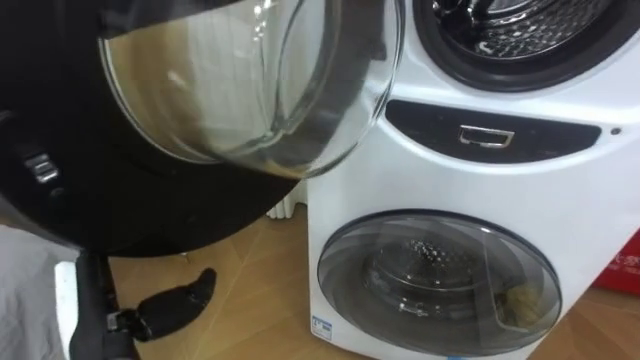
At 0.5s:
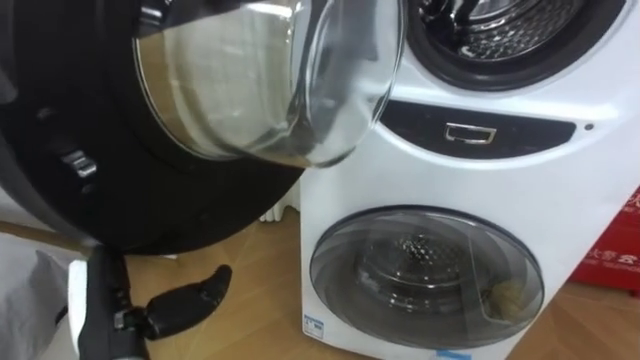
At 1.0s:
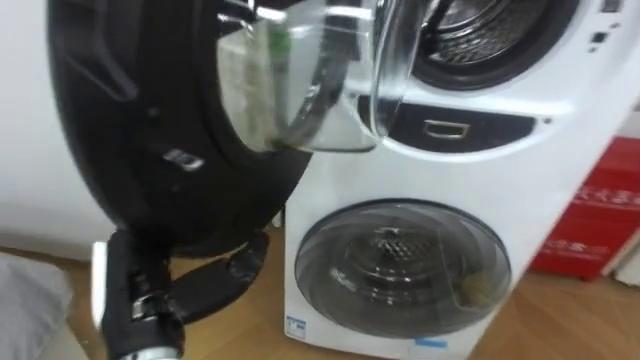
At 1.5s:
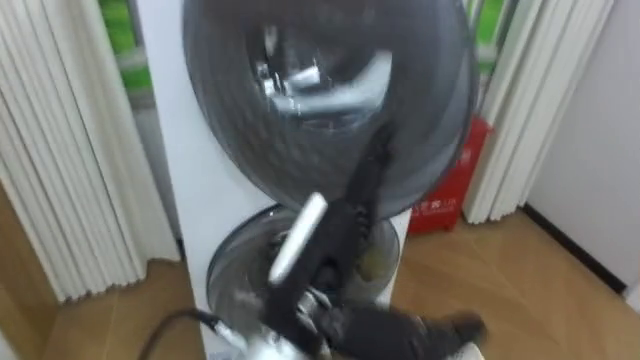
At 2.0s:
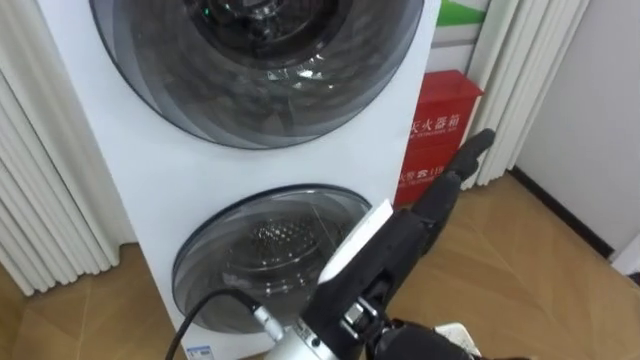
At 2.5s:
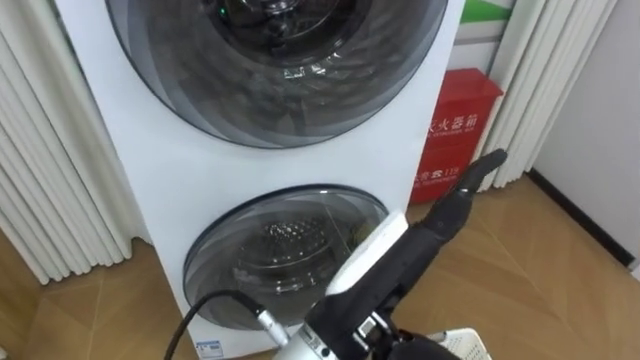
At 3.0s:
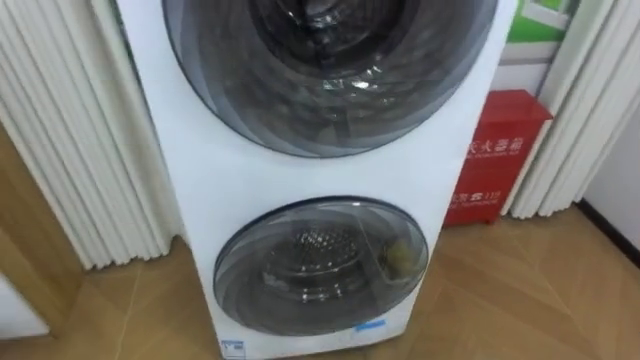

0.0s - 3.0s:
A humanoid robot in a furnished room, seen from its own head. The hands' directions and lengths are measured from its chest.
Task of the whole recording: Open the washing machine door, take out the yellow clothes, place them in the box on the right, and close the washing machine door.
0.0s - 1.5s: The left hand heads to the right and upward, covering approximately 20 cm.

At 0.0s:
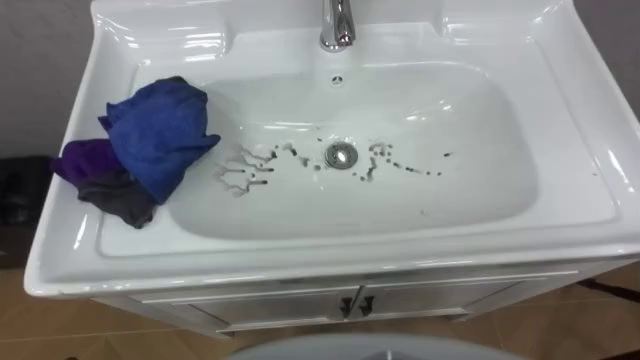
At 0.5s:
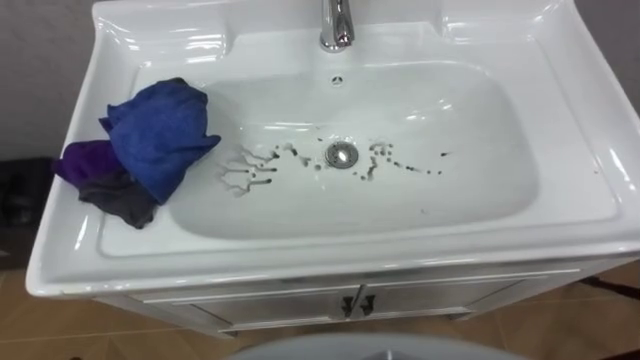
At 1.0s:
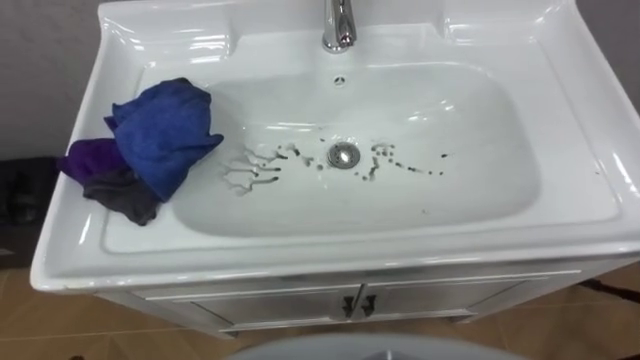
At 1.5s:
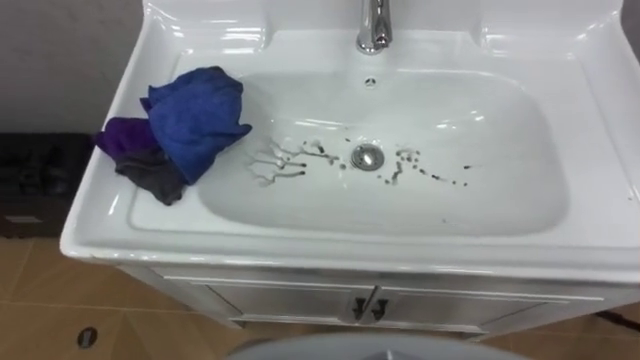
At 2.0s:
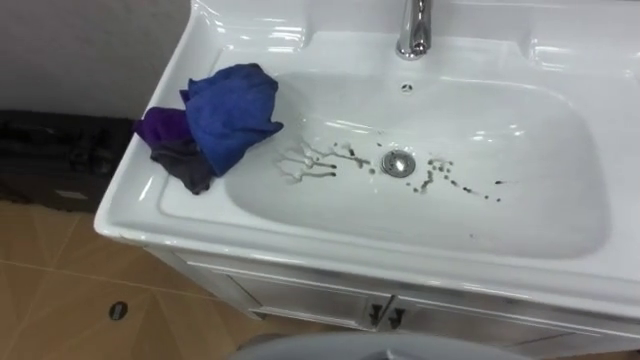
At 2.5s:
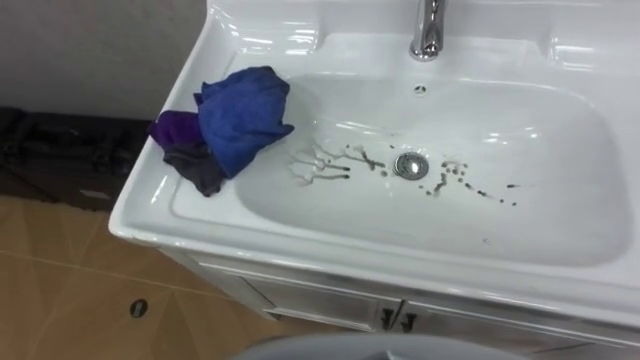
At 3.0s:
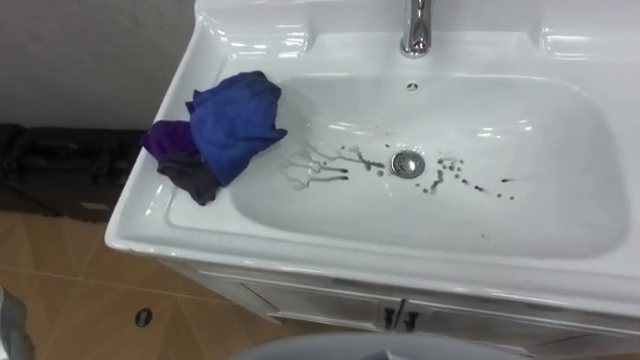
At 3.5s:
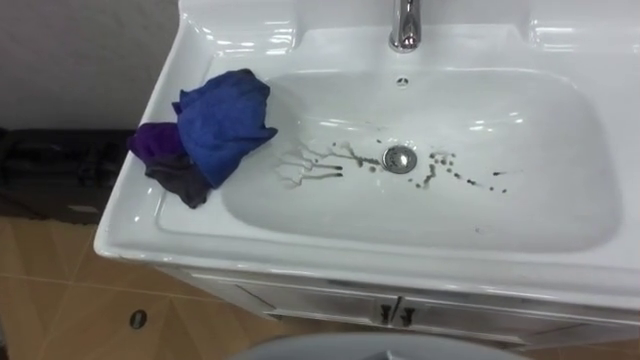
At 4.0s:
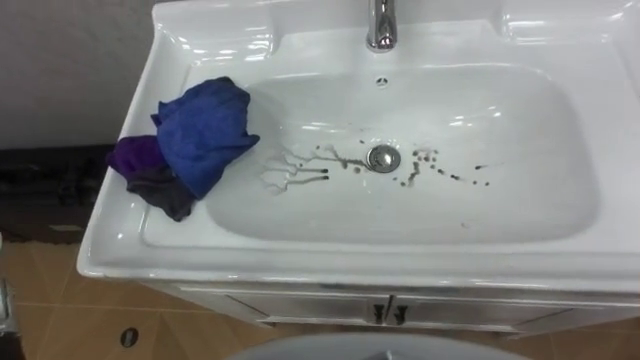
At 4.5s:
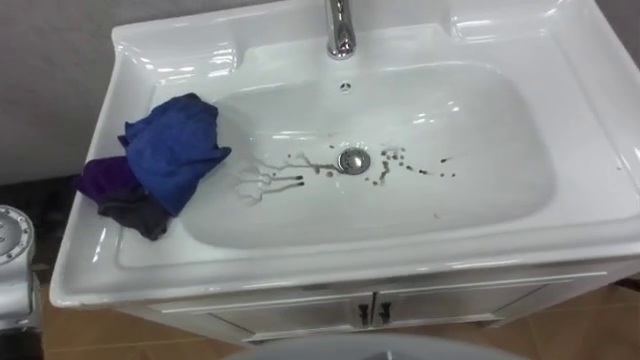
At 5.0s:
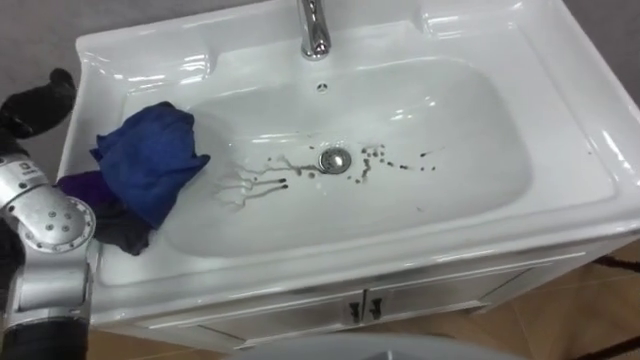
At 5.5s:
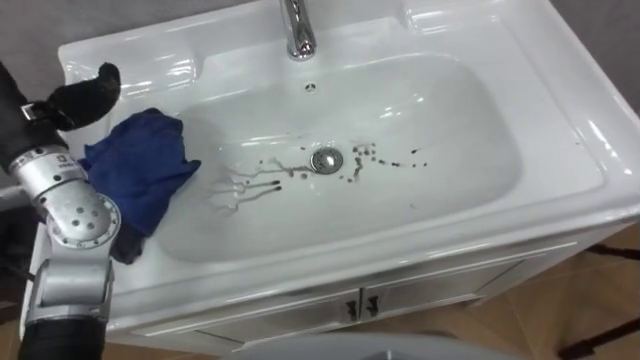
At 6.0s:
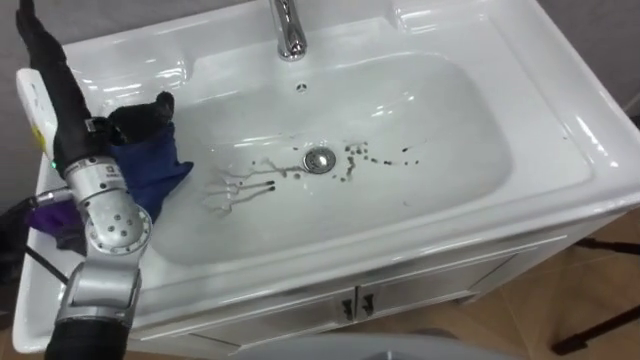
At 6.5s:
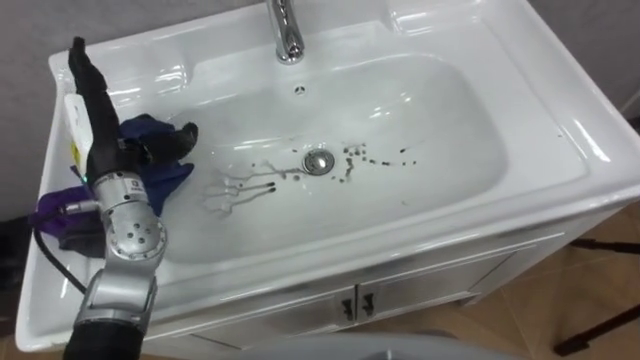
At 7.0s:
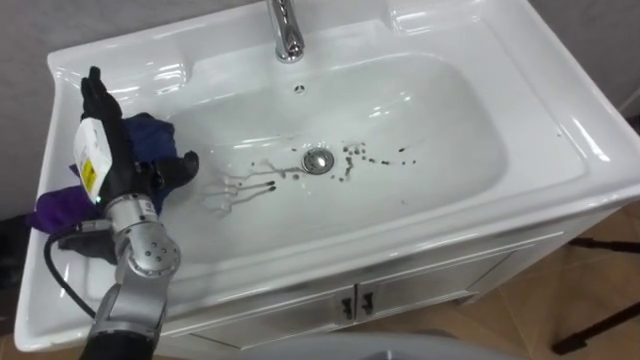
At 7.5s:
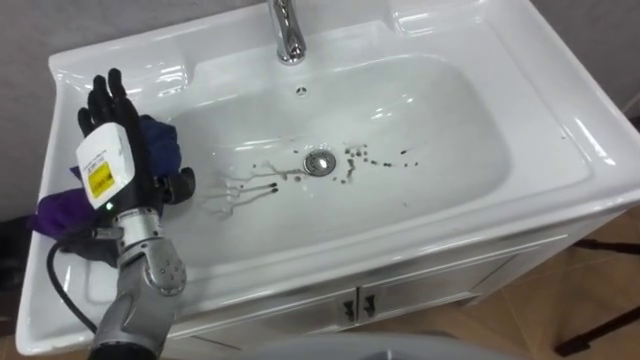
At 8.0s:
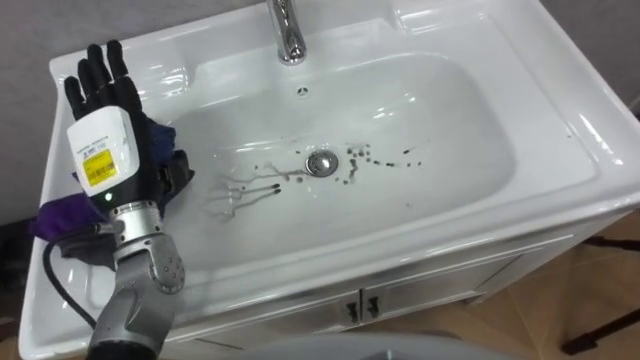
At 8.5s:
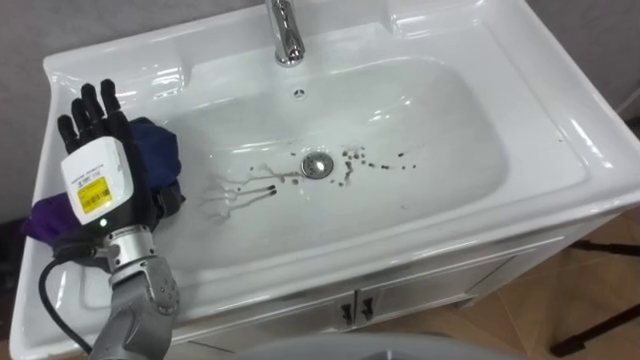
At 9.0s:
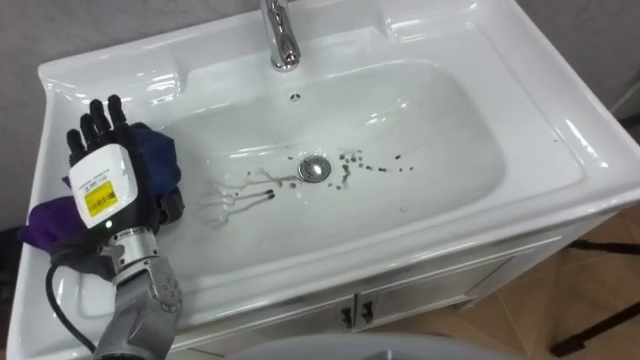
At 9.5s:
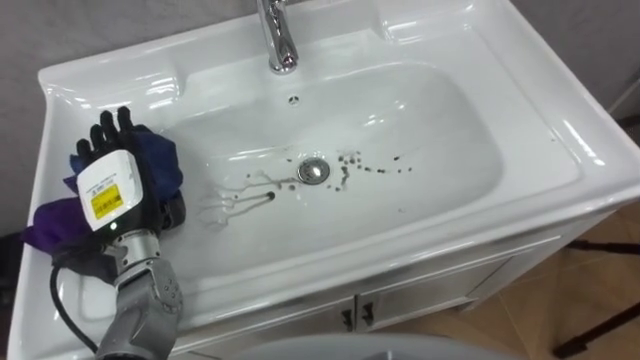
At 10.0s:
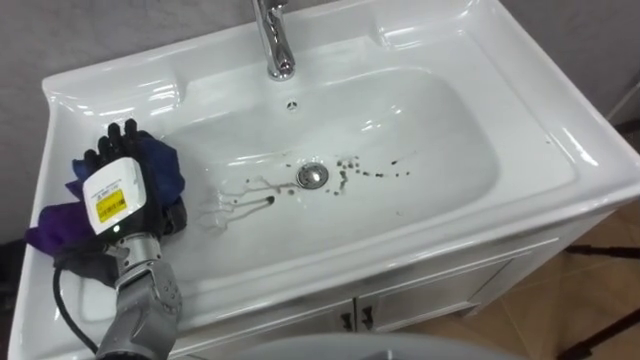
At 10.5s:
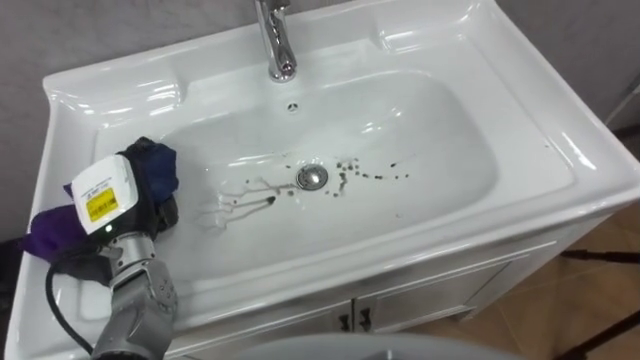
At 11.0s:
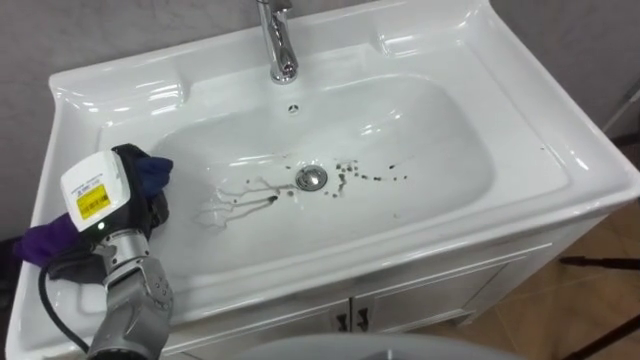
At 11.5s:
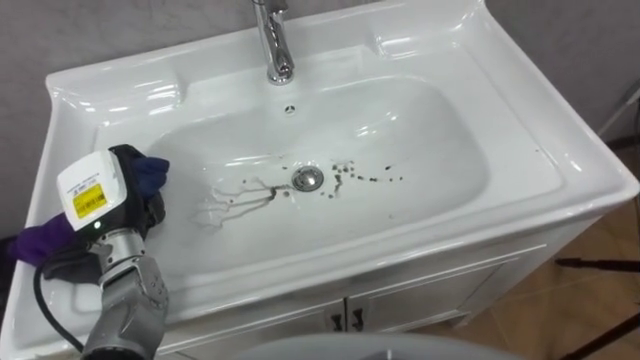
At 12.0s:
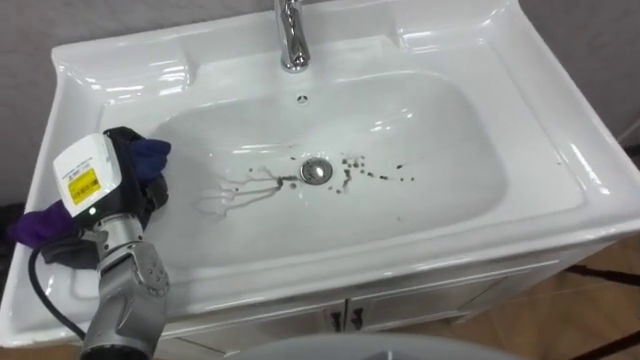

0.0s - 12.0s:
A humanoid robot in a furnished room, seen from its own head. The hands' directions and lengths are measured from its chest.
Task of the whole recording: Use the cloth on the right to wipe away the black stain in the sink.
6.0s - 8.0s: The left hand shifts by approximately 5 cm.
8.0s - 10.0s: The left hand travels downward by about 10 cm.
10.0s - 12.0s: The left hand closes up.

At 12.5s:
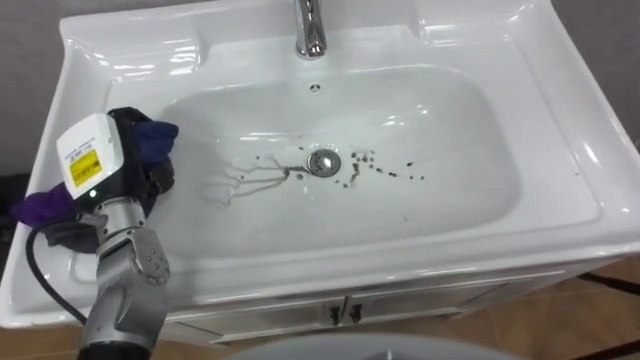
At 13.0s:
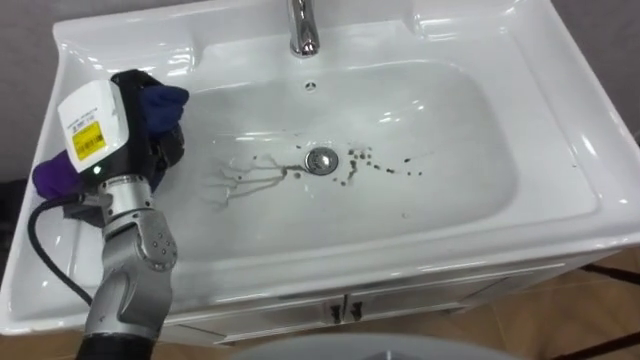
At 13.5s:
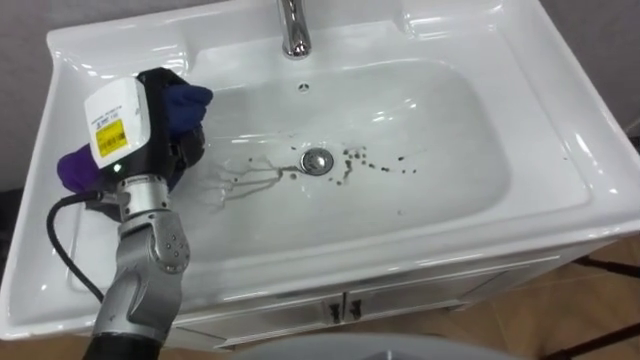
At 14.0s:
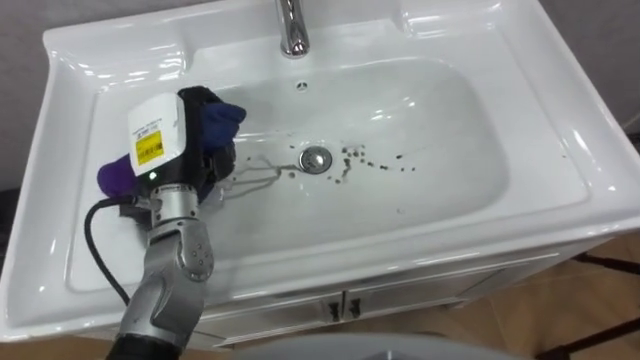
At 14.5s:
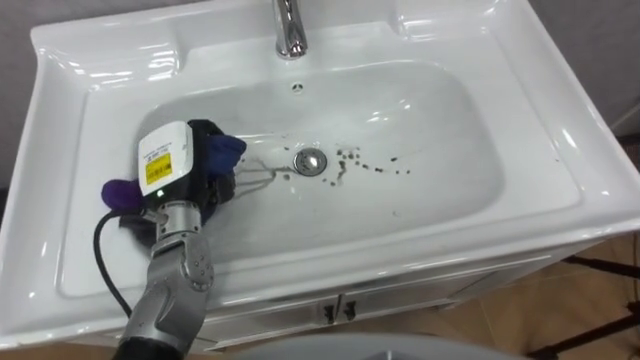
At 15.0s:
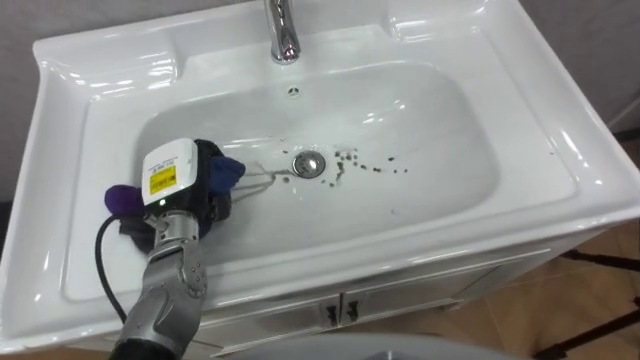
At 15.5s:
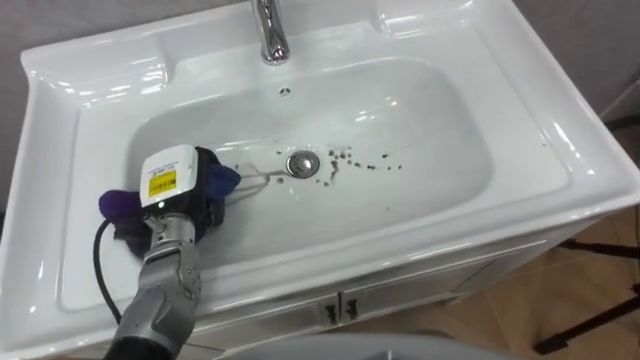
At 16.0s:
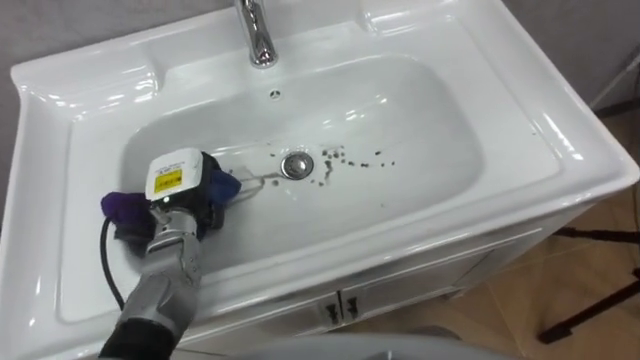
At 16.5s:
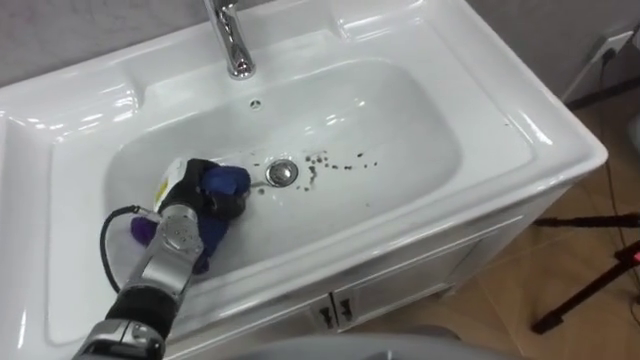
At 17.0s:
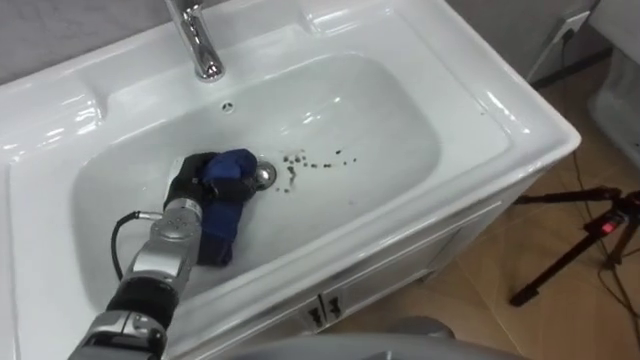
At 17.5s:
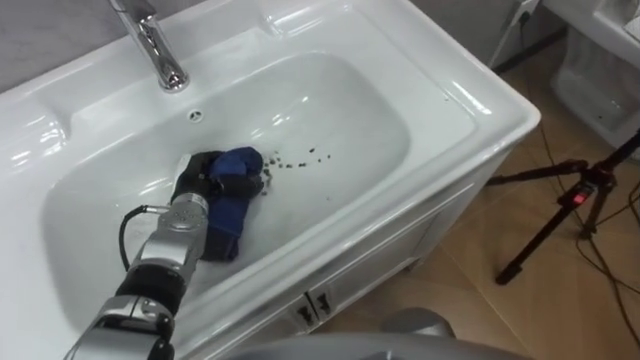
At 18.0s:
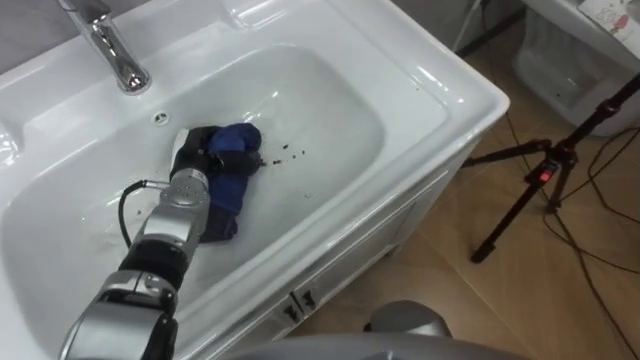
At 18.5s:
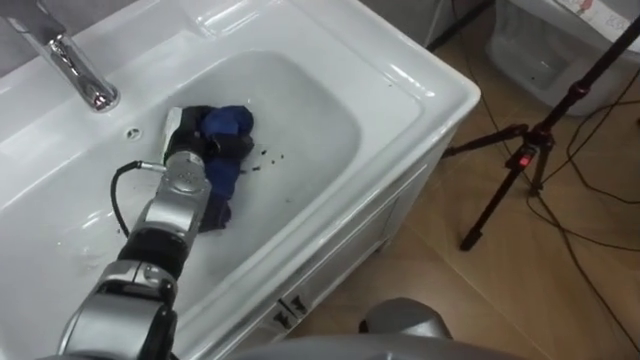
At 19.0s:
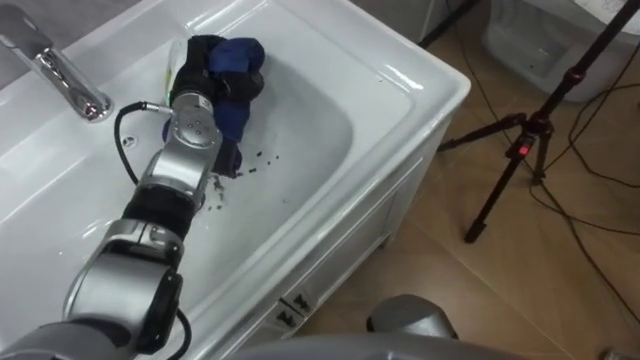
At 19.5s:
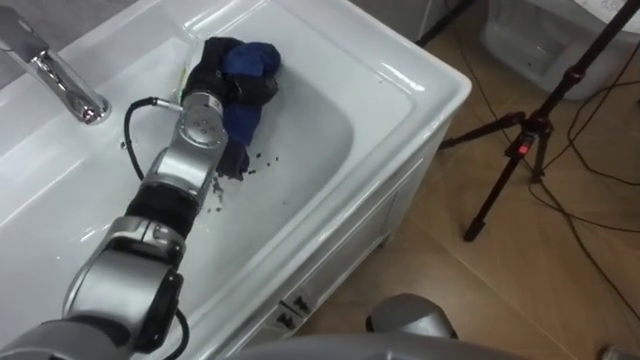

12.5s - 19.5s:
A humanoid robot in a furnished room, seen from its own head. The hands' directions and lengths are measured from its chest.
Task of the whole recording: Use the cloth on the right to wipe away the black stain in the sink.
12.5s - 14.5s: The left hand travels to the right by about 5 cm.
14.5s - 16.0s: The left hand shifts about 5 cm downward.
17.5s - 19.5s: The left hand goes approximately 15 cm upward and forward.
